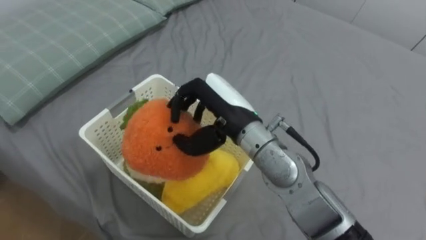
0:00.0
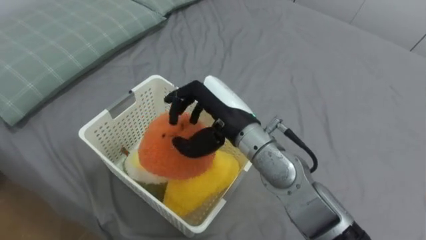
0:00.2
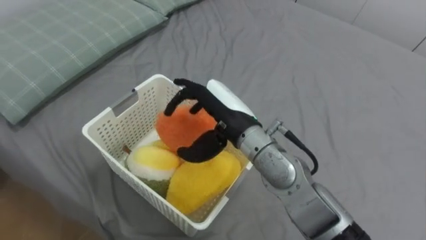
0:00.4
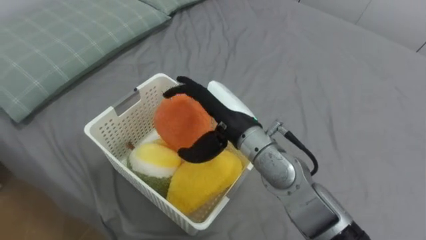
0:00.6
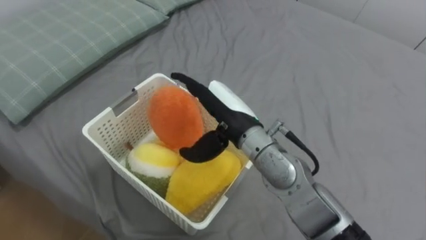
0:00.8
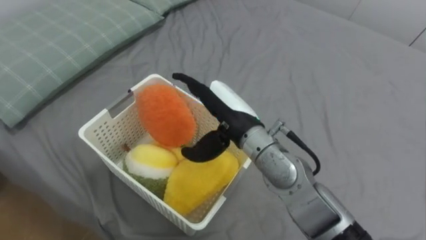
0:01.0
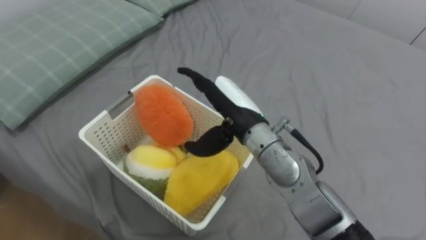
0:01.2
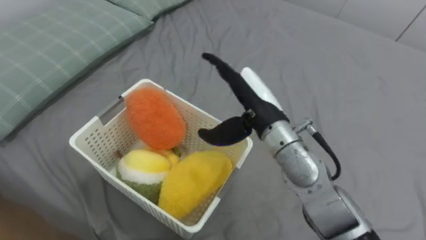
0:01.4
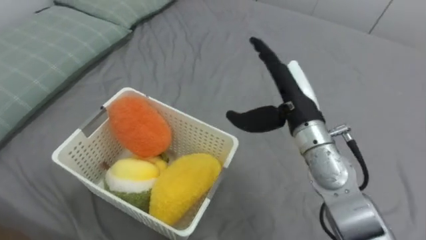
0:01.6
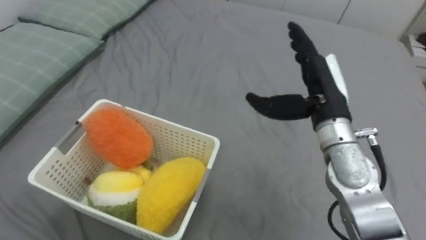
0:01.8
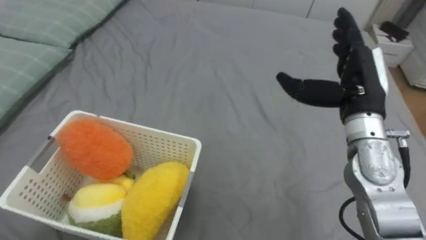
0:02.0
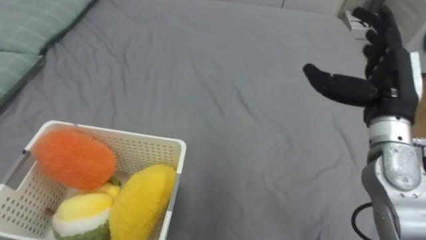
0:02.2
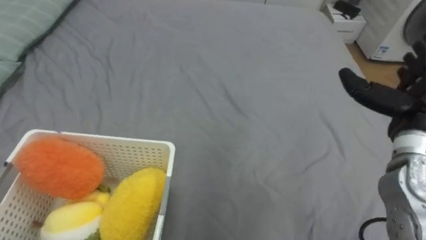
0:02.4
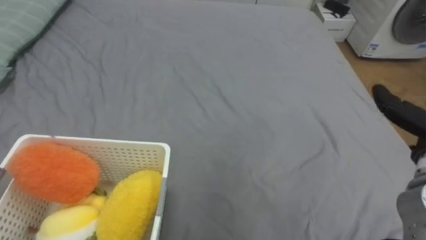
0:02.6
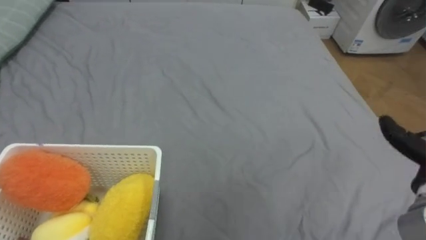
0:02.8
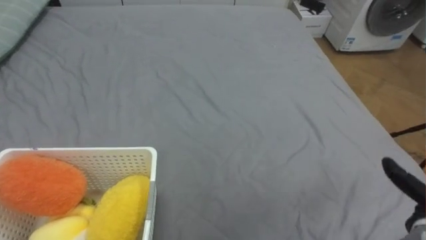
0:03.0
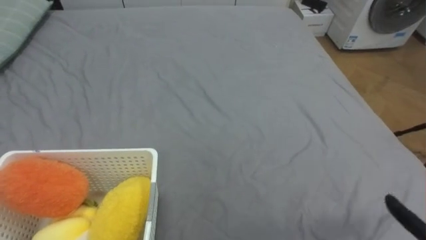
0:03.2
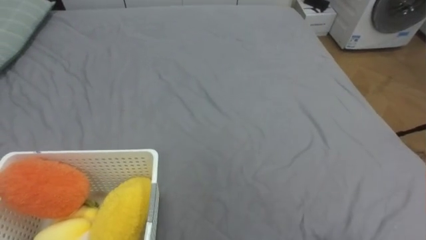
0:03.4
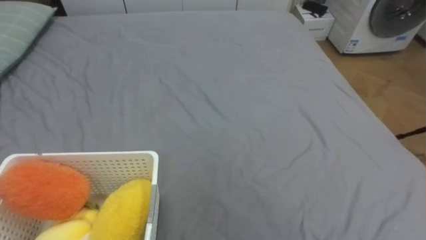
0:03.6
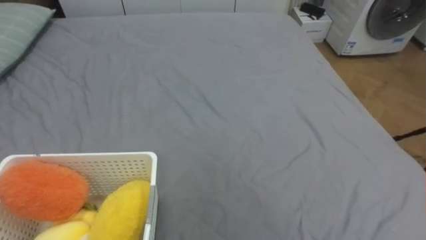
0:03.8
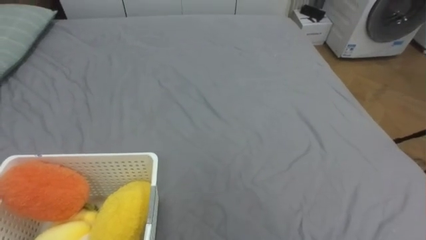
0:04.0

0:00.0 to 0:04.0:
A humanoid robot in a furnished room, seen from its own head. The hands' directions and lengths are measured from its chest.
Task of the whole recording: Put the toys on the bed into the basket on the left.
0:00.0 to 0:01.4: The right hand heads to the right, covering roughly 5 cm, and opens its fingers.

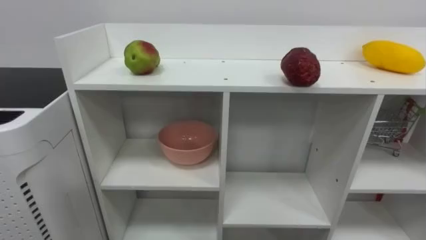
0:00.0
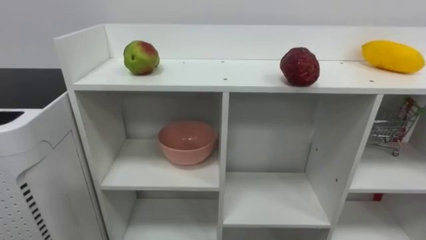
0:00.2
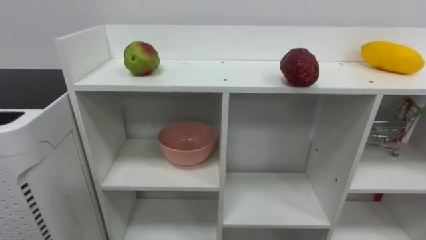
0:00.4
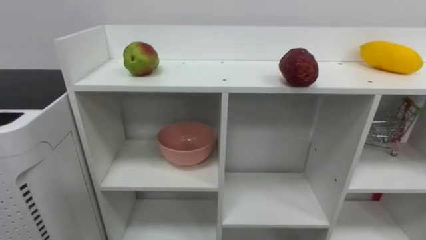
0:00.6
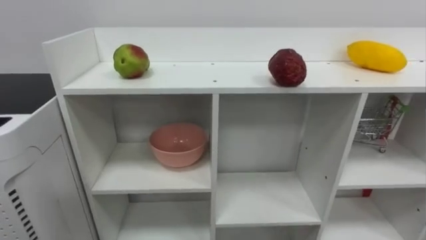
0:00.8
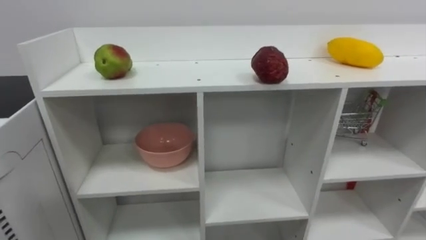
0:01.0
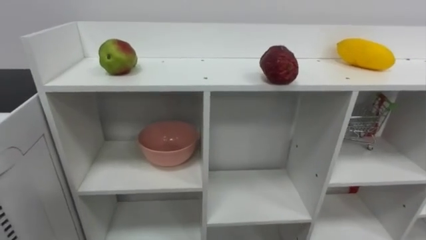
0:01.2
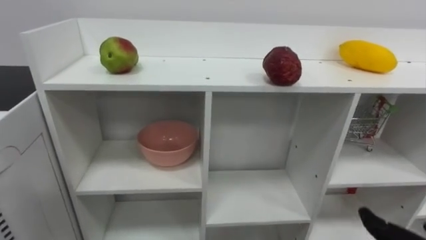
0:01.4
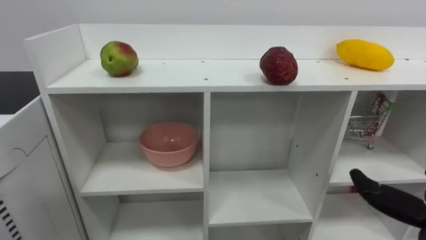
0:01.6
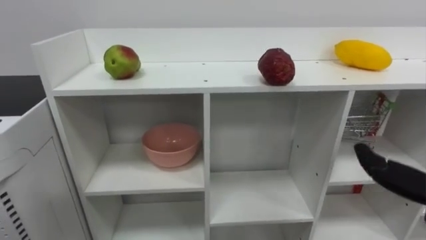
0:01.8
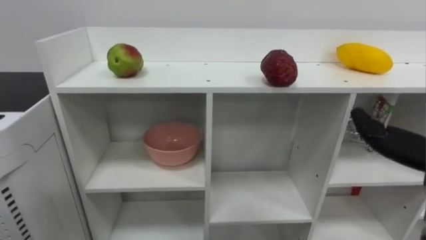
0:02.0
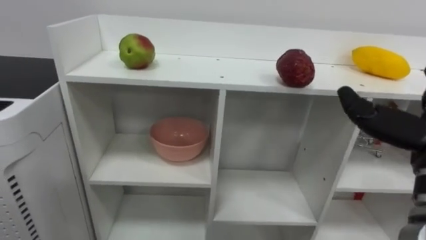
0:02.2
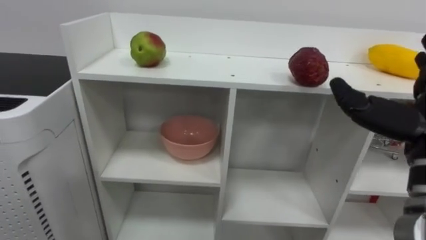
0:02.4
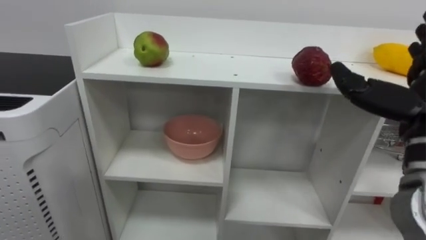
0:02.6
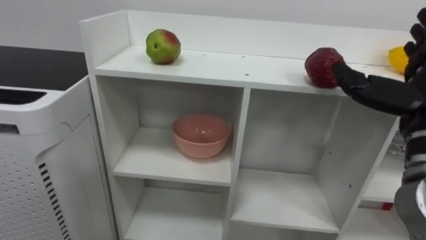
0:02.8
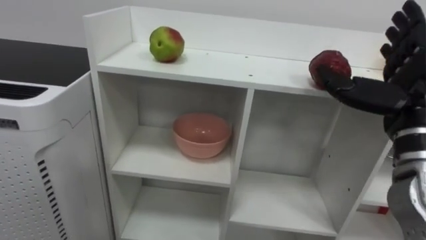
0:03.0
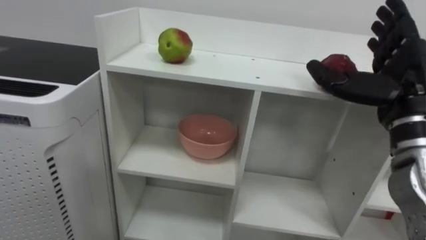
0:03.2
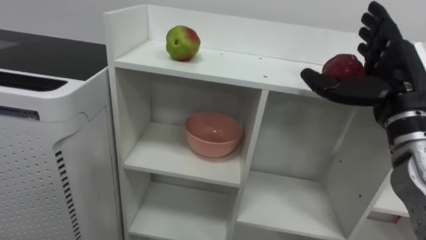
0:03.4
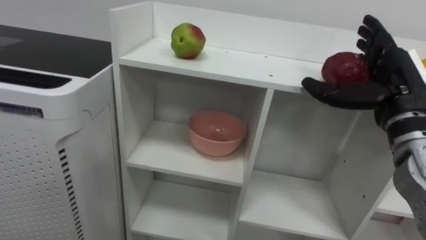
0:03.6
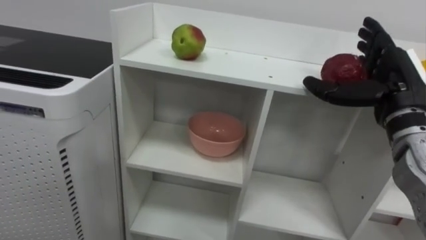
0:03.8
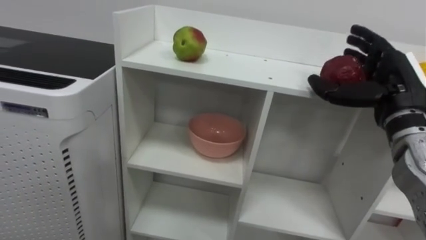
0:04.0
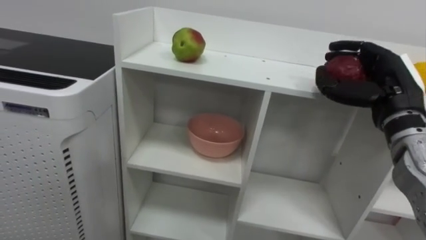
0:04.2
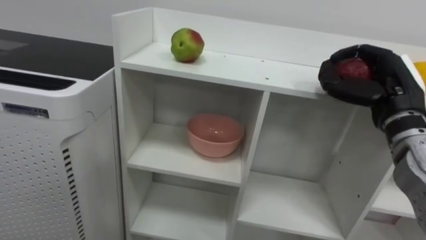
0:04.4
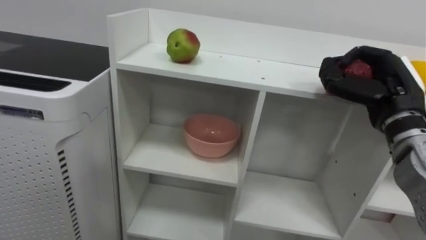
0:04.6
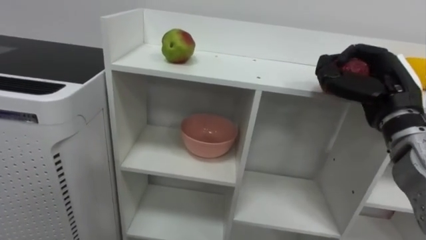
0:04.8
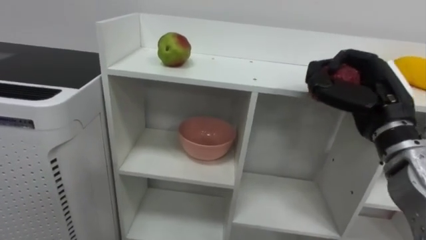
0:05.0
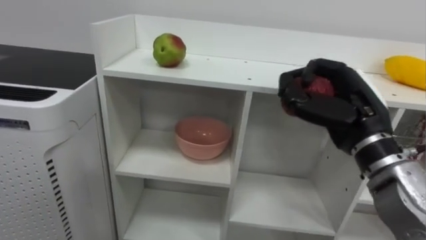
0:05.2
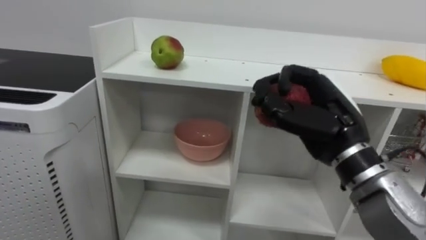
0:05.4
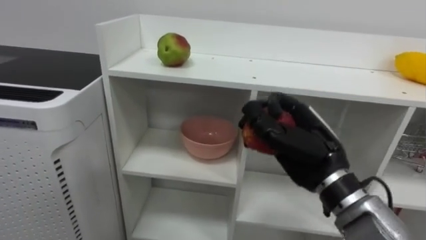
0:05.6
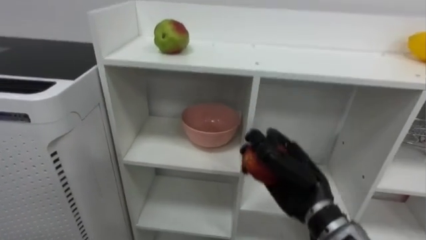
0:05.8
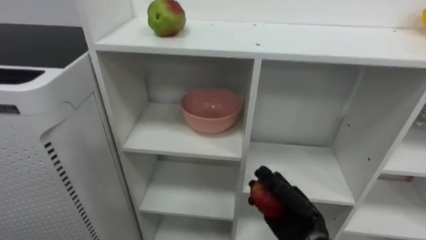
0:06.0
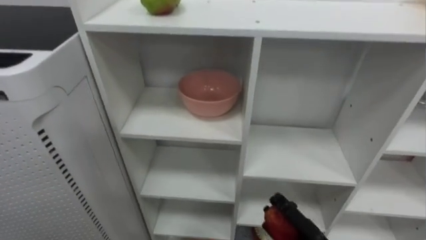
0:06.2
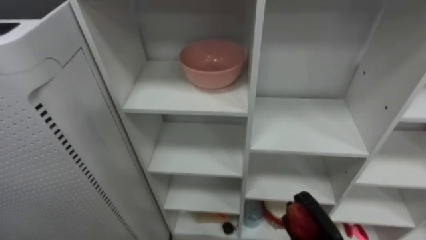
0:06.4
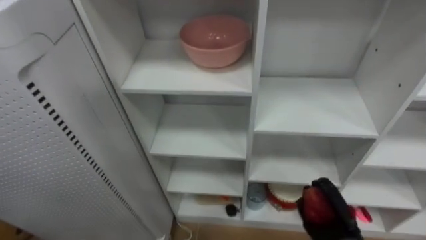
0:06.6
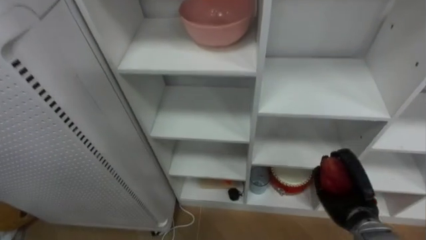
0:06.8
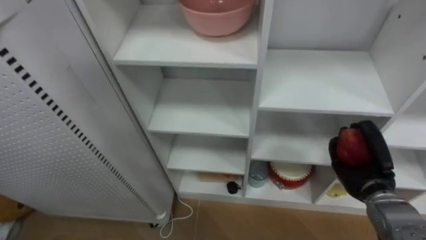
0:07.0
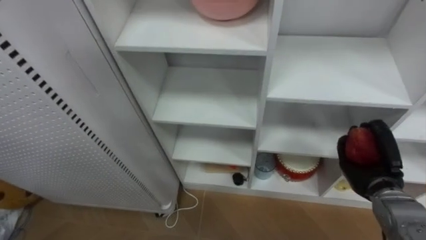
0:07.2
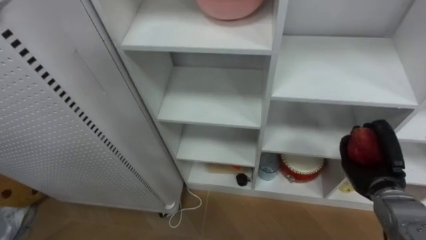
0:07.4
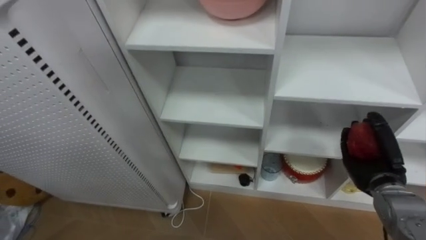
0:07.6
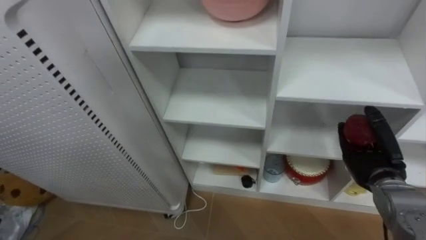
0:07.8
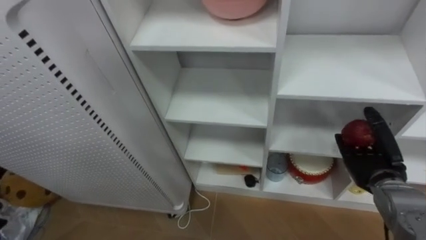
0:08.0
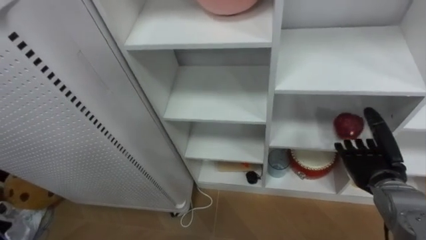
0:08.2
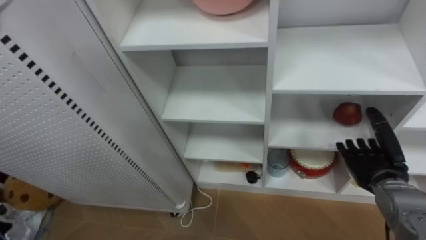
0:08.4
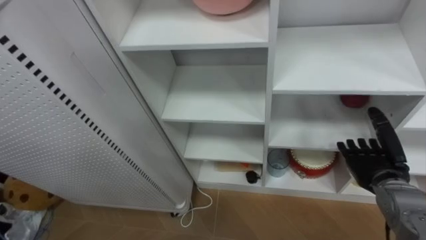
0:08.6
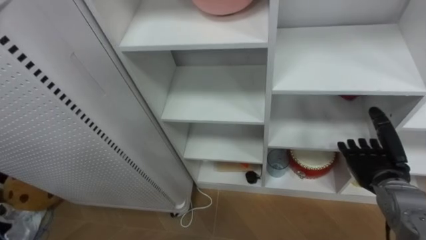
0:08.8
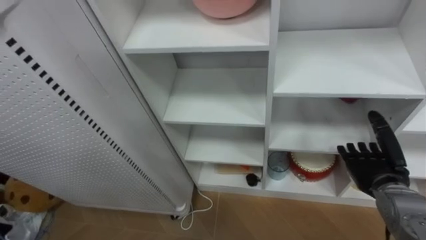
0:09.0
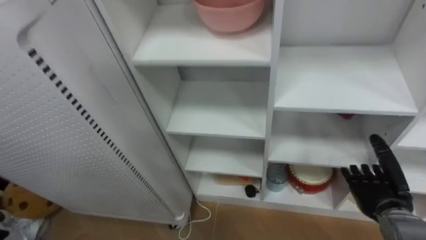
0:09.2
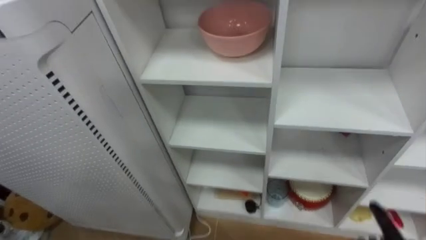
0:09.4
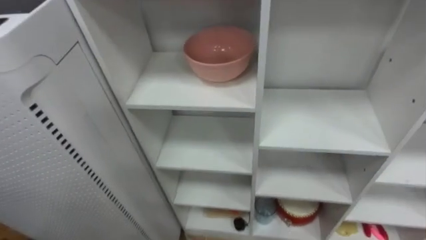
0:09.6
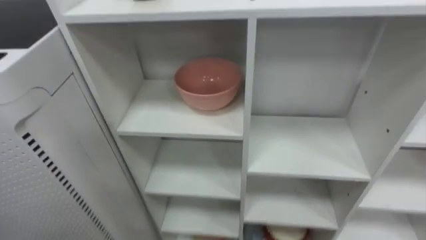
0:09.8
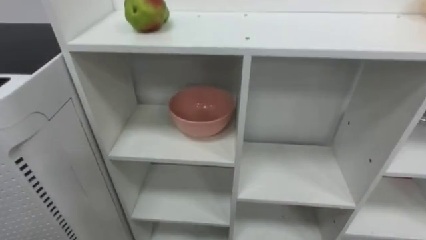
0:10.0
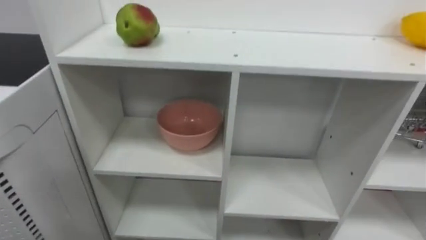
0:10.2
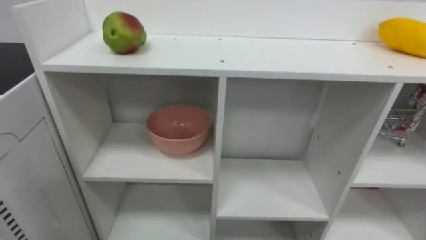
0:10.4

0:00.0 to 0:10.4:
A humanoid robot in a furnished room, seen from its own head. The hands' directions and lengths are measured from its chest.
Task of the whole recording: Put the apple in the cell in the second column from the left and the second row from the top.
0:03.0 to 0:04.4: The right hand is displaced forward by roughly 5 cm, and closes.
0:04.4 to 0:06.0: The right hand travels downward and to the left by some 25 cm.
0:07.4 to 0:09.0: The right hand opens its fingers.

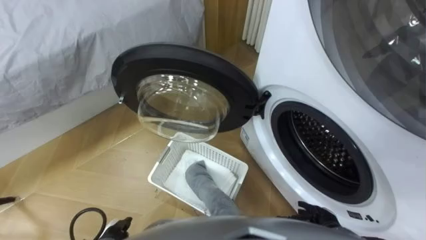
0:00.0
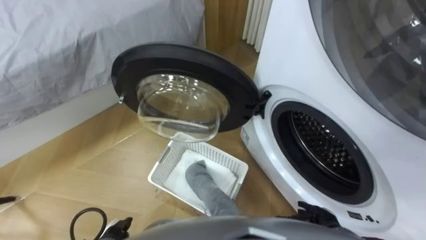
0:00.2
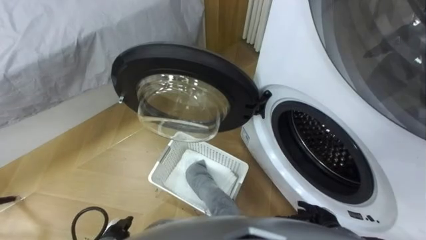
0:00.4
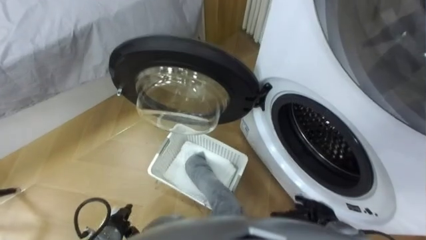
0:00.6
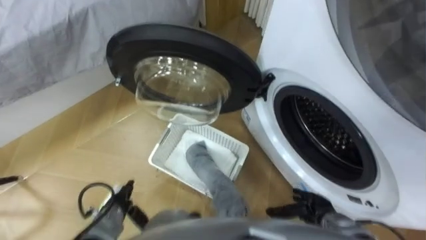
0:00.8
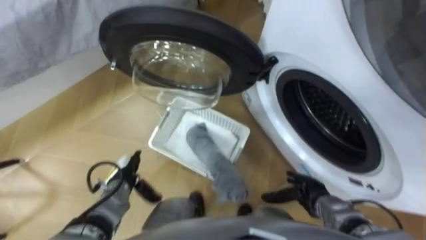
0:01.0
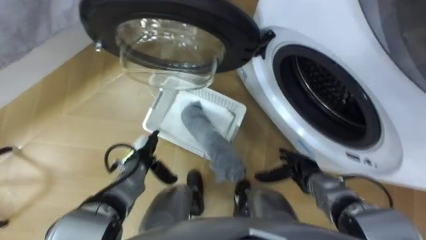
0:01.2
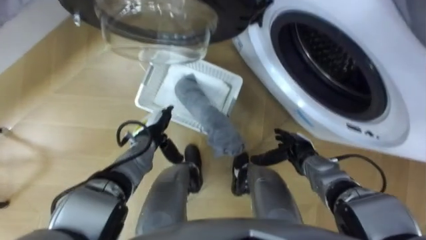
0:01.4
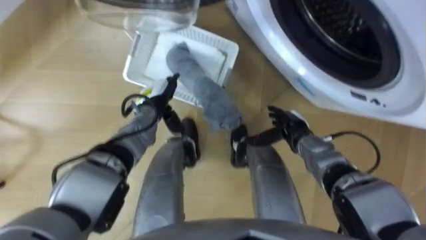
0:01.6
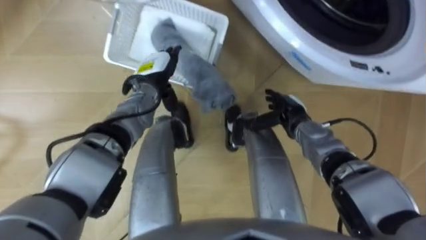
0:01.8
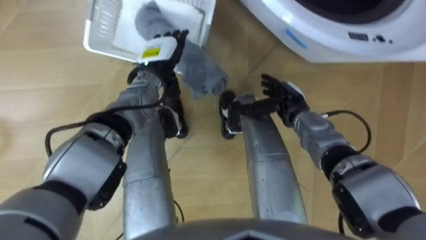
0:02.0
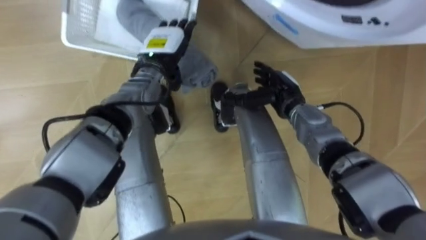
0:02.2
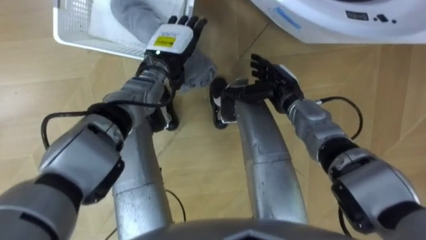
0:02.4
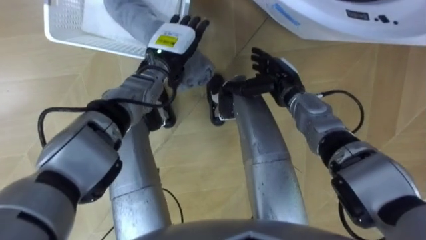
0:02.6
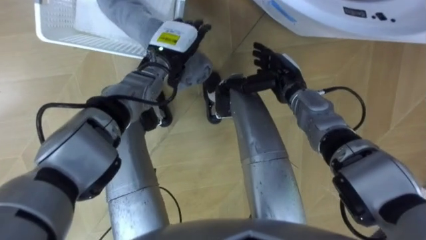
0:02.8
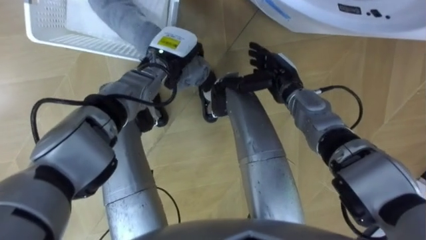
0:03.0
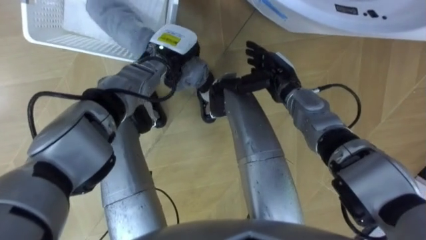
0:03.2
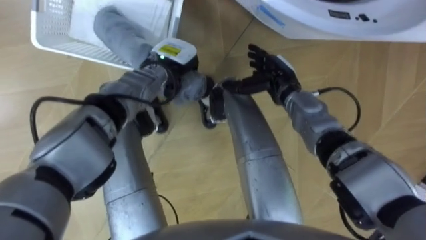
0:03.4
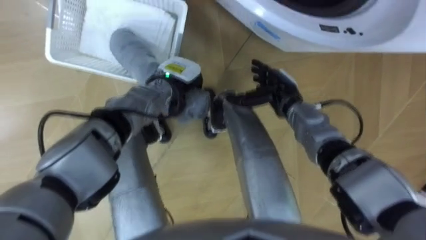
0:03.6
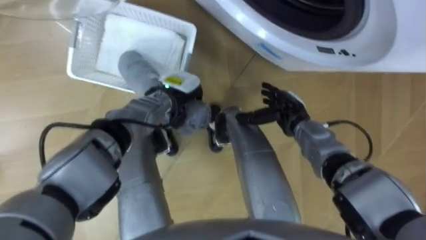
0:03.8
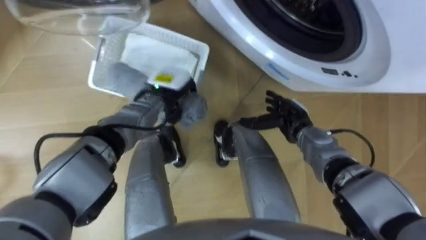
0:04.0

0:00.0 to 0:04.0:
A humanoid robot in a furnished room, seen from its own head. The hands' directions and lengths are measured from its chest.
Task of the whole recording: Take the towel from the basket and put it into the washing machine.
0:01.4 to 0:02.6: The left hand moves upward, forward and to the right, some 20 cm. The right hand heads forward, upward and to the left, covering approximately 20 cm.
0:02.6 to 0:04.0: The left hand moves downward, about 5 cm, and closes its fingers. The right hand goes roughly 10 cm downward and backward.
